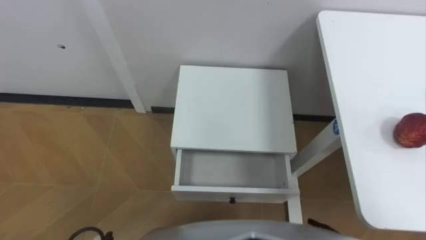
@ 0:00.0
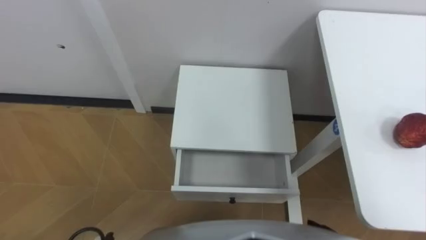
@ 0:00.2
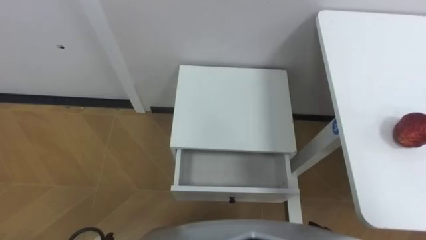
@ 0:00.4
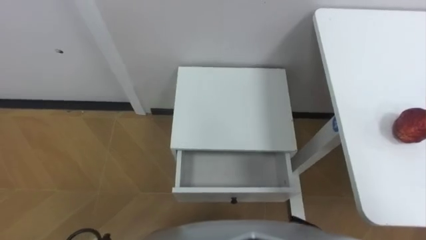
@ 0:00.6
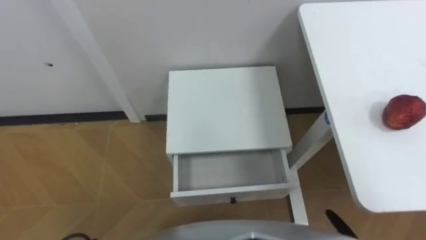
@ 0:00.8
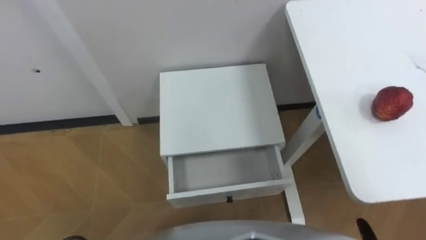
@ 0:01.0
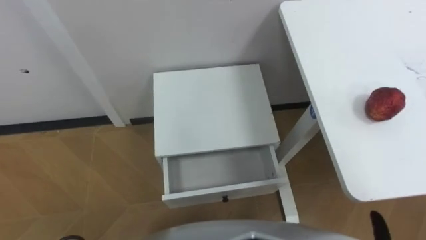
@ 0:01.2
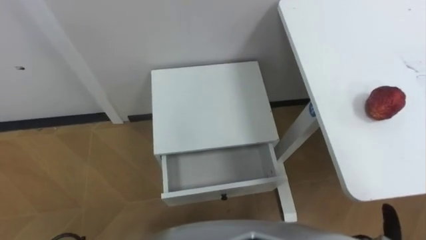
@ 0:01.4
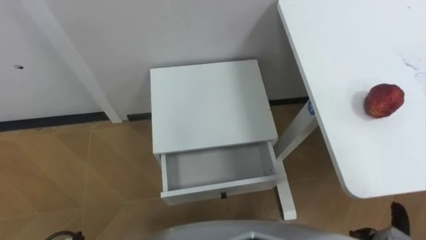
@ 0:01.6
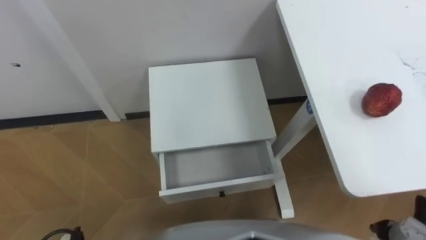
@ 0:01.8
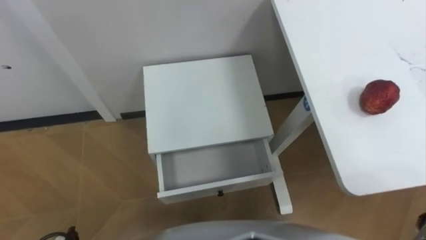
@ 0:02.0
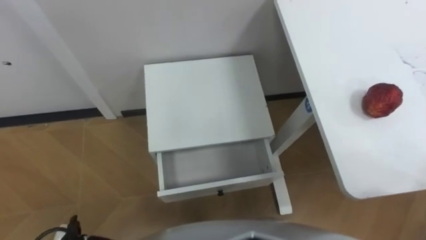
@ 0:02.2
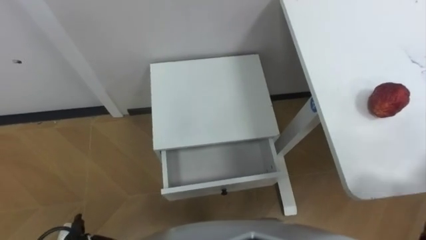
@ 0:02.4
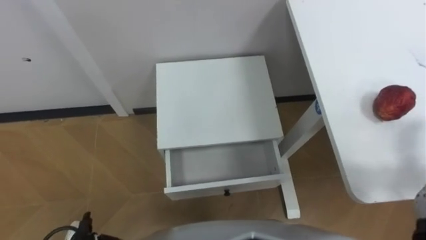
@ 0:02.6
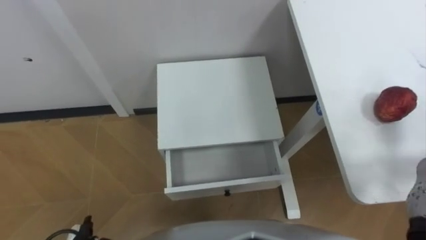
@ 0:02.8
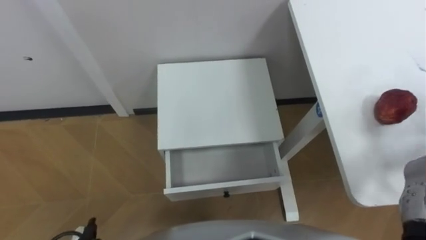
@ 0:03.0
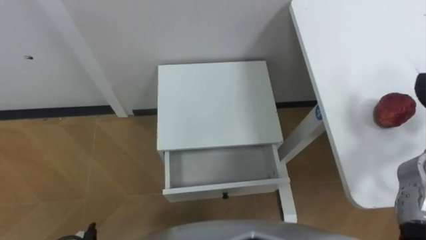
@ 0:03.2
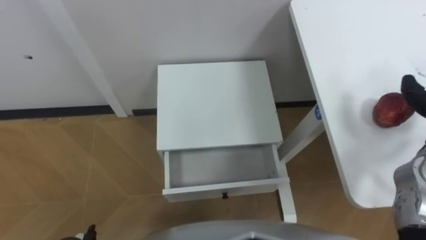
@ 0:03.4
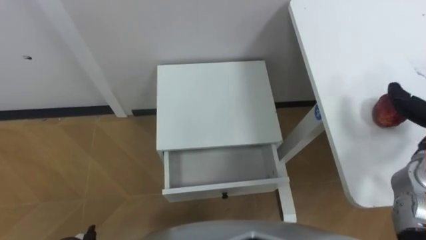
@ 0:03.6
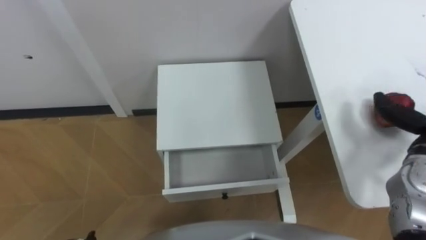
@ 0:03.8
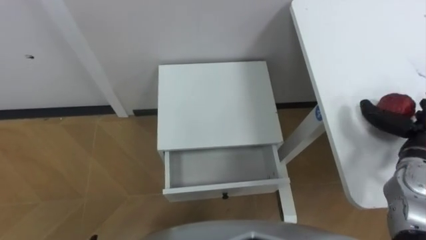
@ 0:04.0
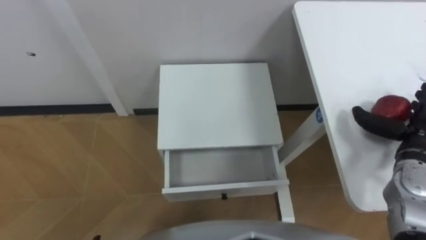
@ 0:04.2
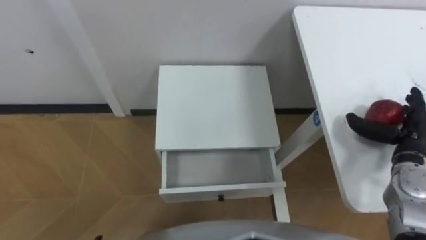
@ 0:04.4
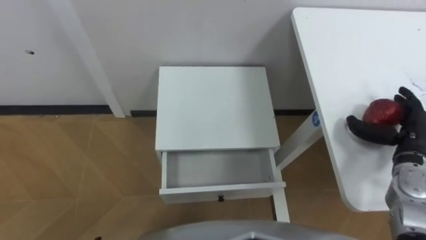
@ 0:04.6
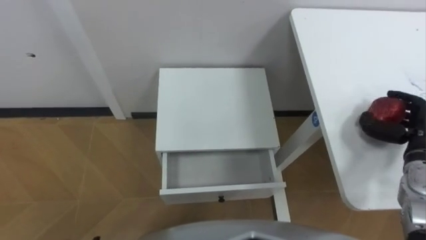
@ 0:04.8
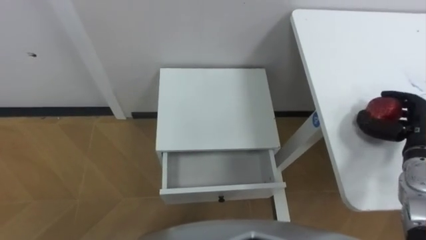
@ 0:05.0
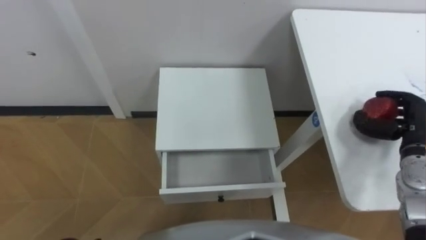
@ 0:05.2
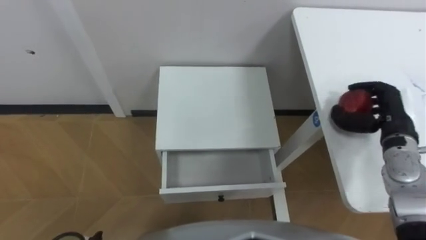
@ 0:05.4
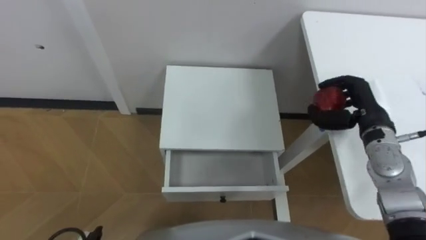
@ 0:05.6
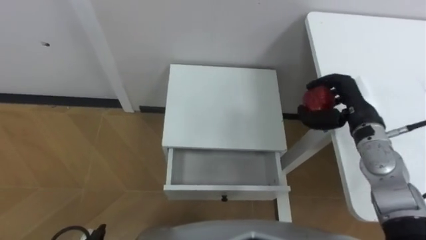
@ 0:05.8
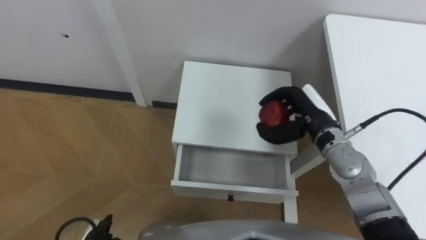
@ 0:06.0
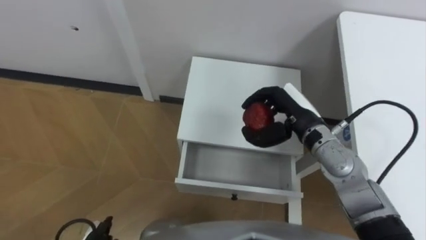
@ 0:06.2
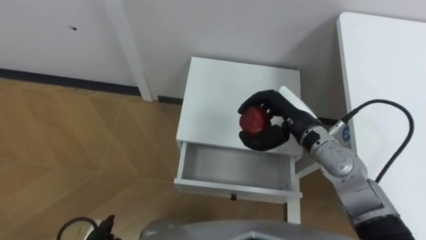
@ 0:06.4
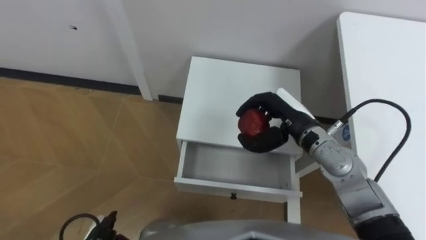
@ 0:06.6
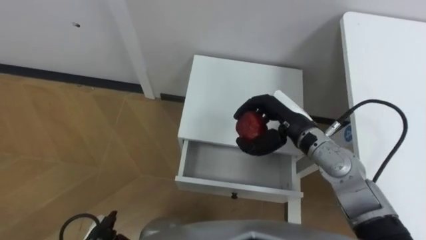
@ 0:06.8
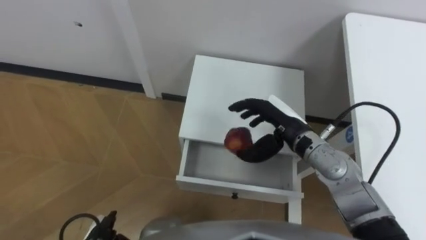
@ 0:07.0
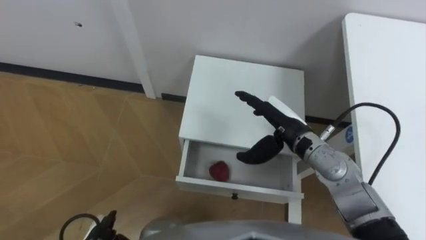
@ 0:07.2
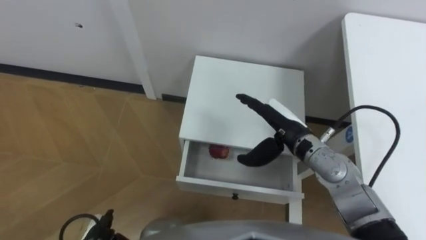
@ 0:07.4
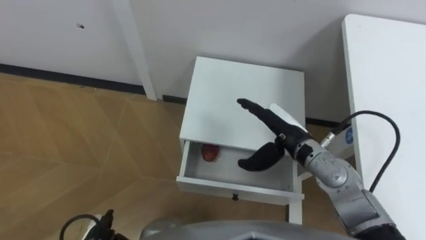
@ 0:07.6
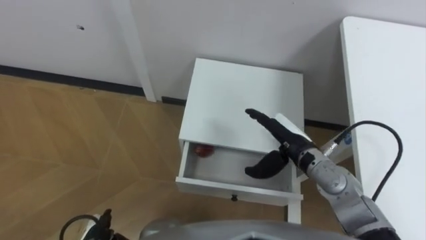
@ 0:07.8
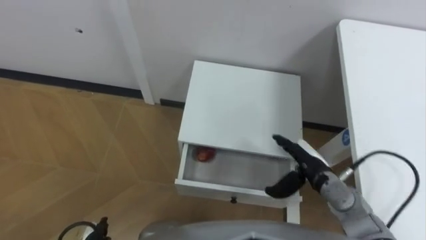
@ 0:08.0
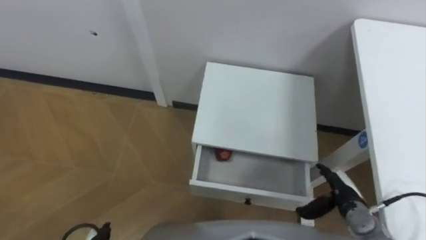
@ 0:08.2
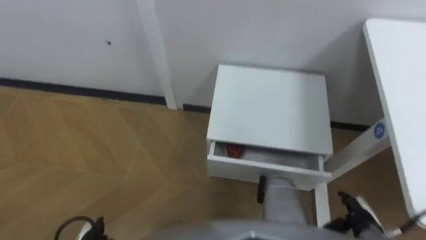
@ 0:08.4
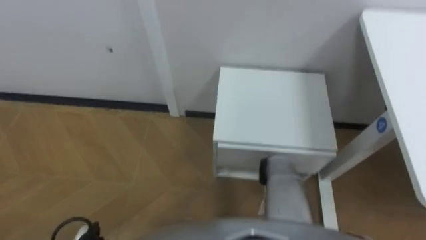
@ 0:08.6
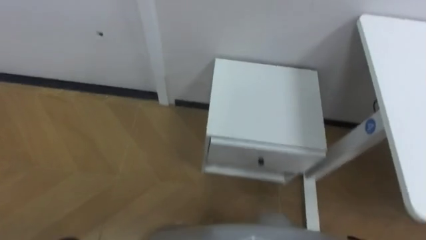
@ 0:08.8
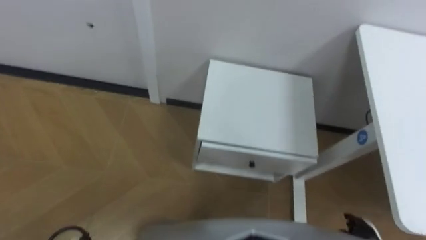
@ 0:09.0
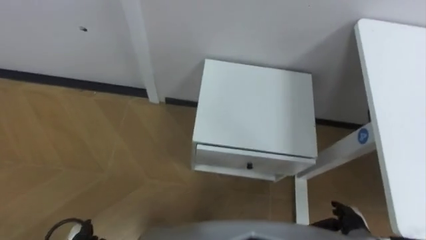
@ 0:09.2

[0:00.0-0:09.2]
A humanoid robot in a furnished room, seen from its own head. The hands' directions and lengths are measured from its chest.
Task of the whole recording: Pick up the apple from the table, put it in the drawer, and close the drawer with leg.
0:04.6 to 0:06.2: The right hand is displaced to the left by roughly 20 cm.
0:06.2 to 0:07.6: The right hand opens its fingers.

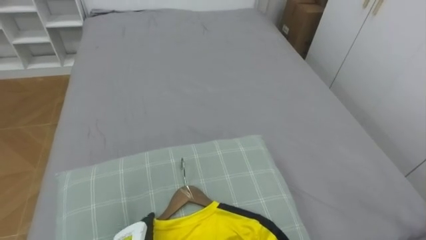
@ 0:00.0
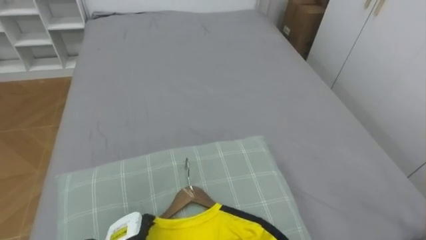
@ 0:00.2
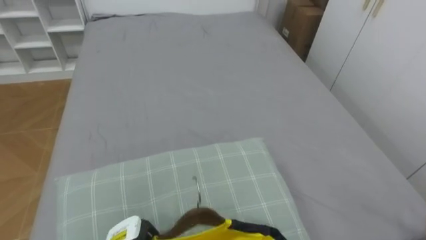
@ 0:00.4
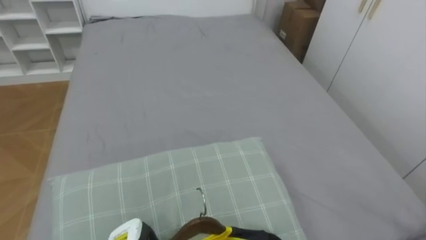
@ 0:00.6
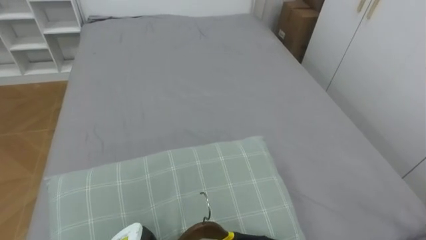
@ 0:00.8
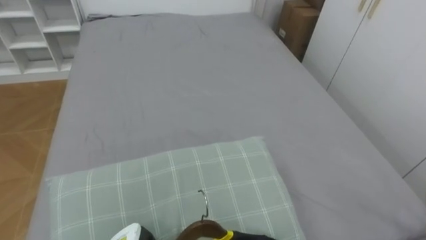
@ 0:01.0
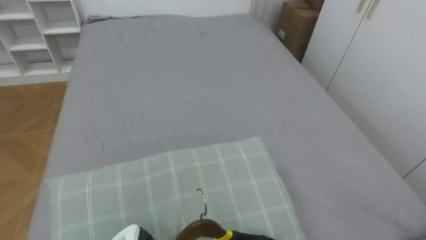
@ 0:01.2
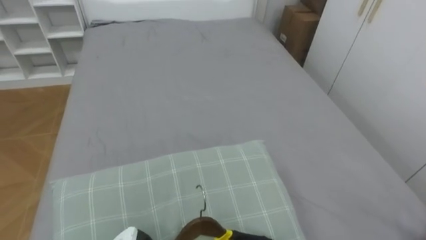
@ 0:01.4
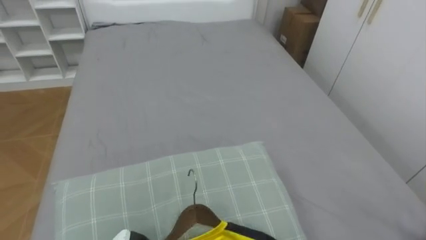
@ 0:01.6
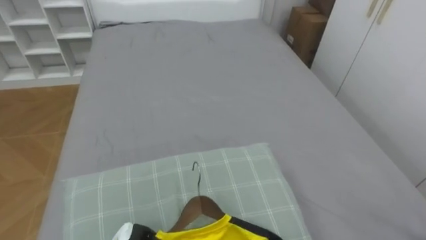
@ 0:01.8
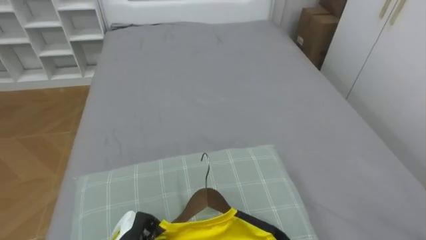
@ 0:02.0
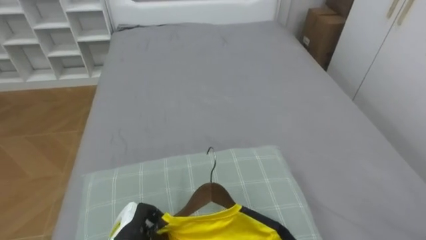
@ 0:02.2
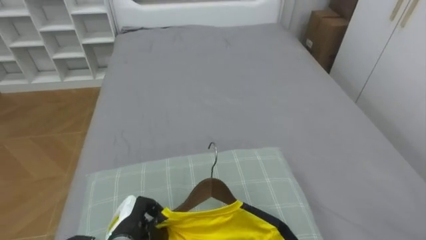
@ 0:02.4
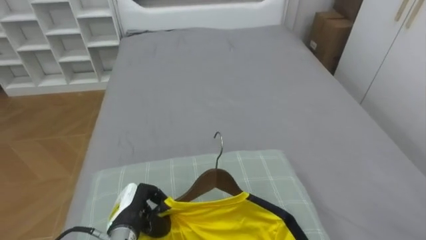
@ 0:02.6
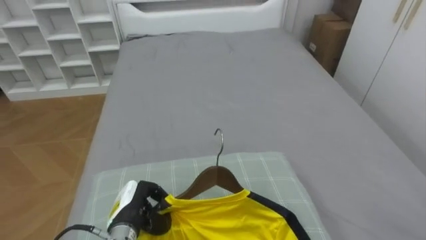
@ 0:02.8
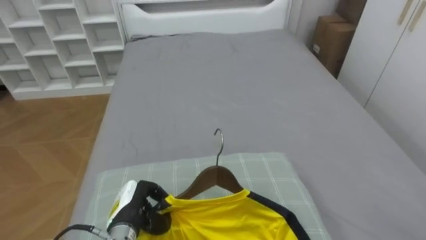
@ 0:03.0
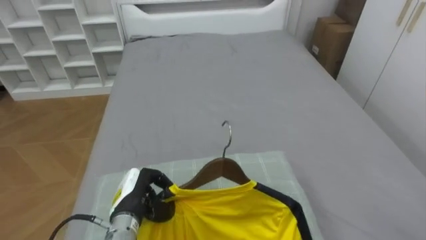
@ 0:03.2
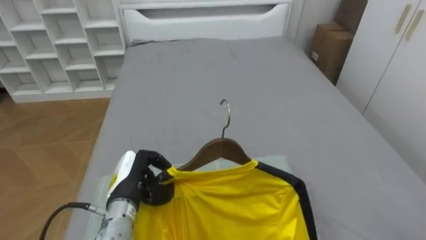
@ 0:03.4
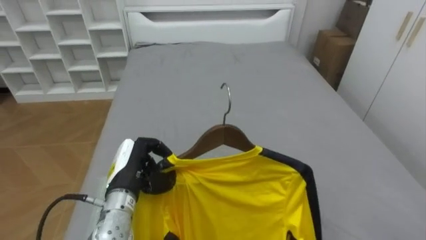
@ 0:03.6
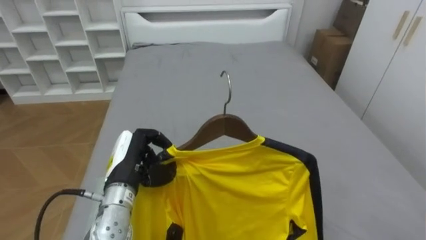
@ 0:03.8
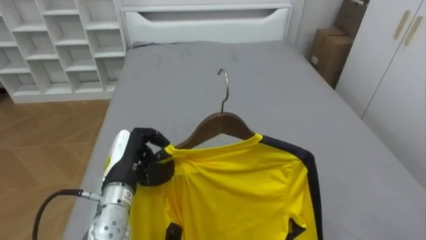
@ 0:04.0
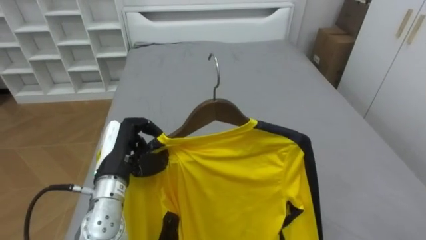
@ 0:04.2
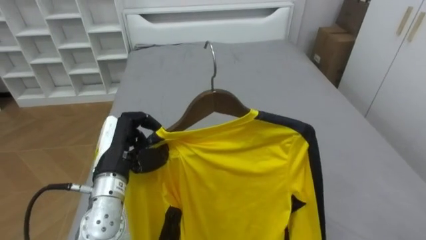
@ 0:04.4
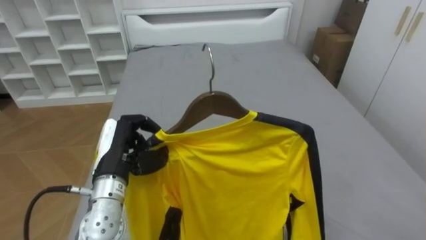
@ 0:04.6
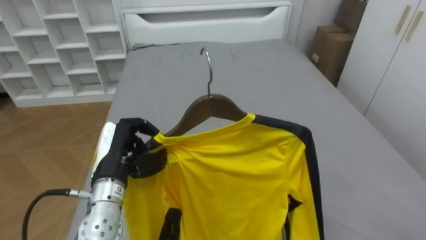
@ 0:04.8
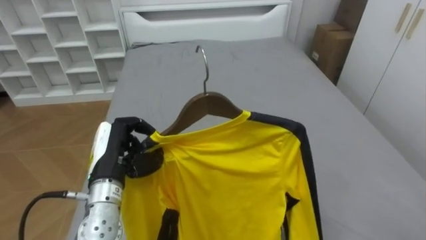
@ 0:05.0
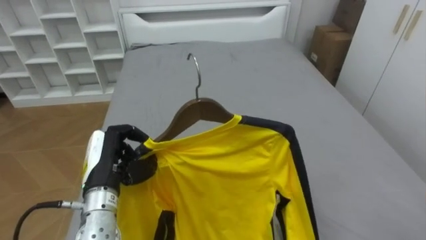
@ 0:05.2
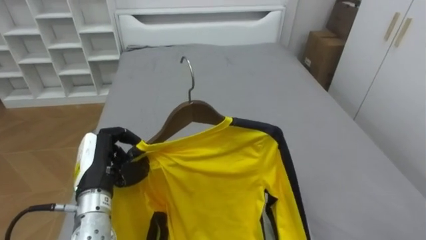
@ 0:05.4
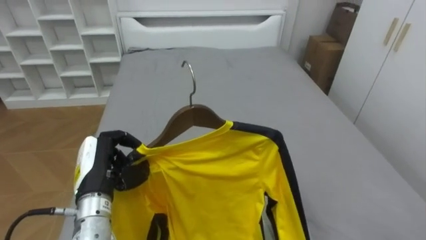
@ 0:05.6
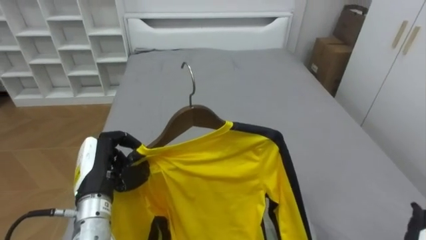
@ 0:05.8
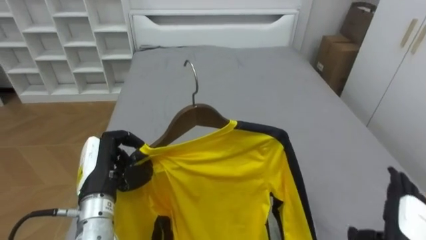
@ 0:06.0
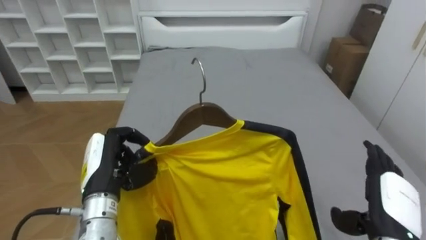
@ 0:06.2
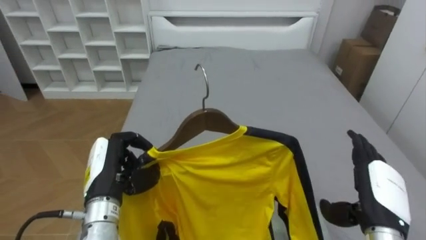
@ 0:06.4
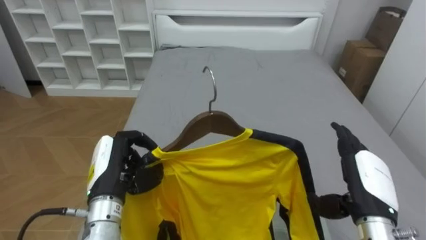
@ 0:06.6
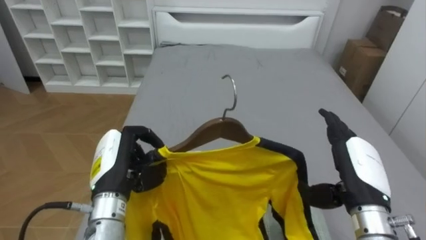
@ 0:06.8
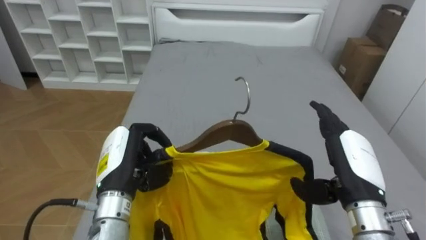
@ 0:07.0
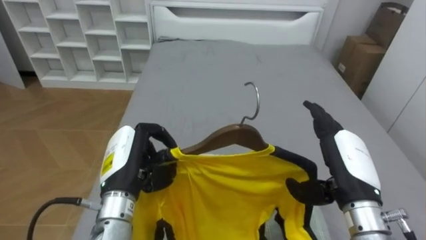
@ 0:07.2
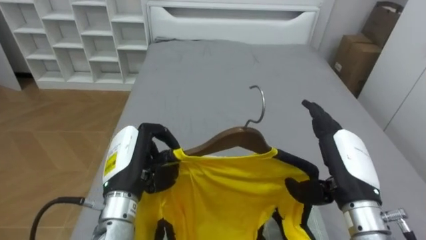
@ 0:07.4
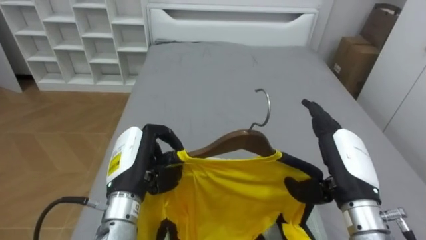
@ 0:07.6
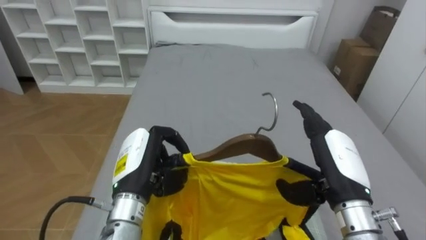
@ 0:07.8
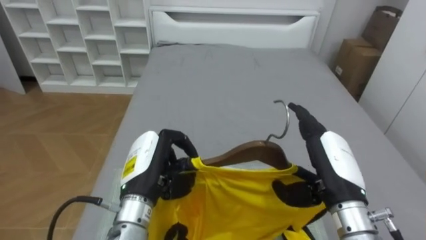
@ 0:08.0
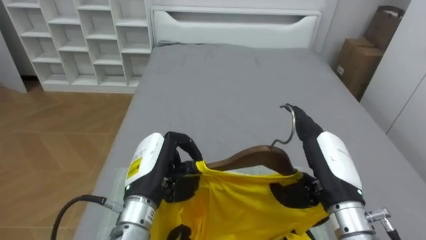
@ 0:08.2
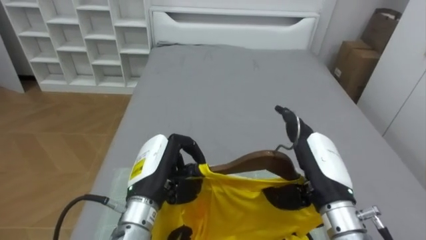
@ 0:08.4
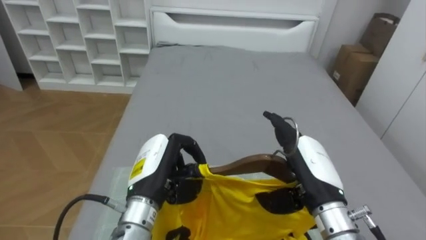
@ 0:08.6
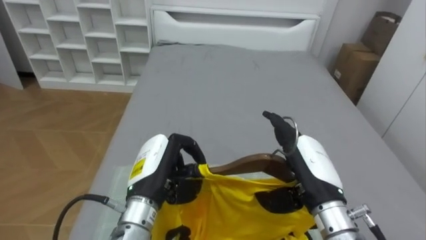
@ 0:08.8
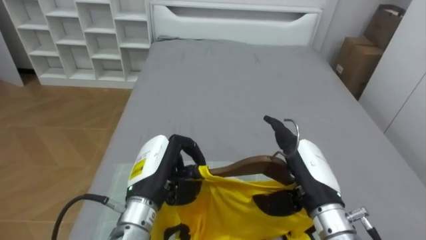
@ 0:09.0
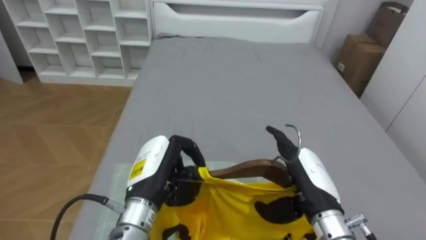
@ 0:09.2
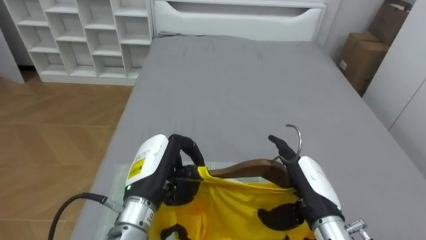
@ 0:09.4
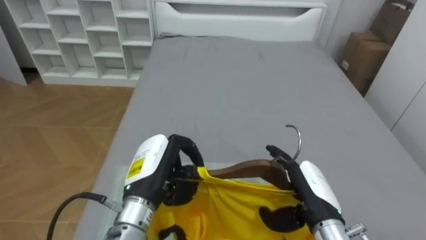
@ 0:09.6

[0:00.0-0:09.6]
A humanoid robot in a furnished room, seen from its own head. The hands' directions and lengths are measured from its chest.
Task of the whole recording: Pick up the yellow shirt on the bed and hang it on the clothes rack on the right.
0:03.2 to 0:04.8: The left hand moves upward, roughly 10 cm.
0:06.4 to 0:08.0: The left hand is displaced to the right by roughly 5 cm. The right hand travels to the left and upward by some 10 cm.
0:08.0 to 0:09.6: The right hand moves downward, approximately 5 cm.
